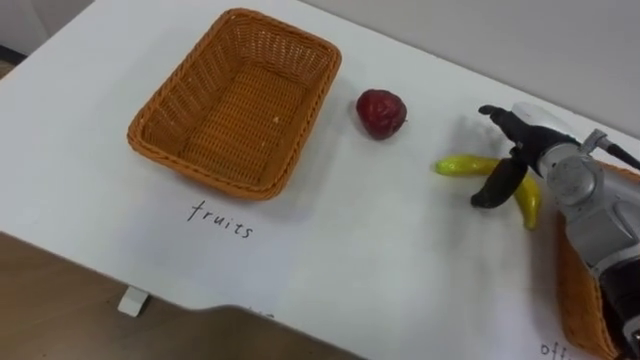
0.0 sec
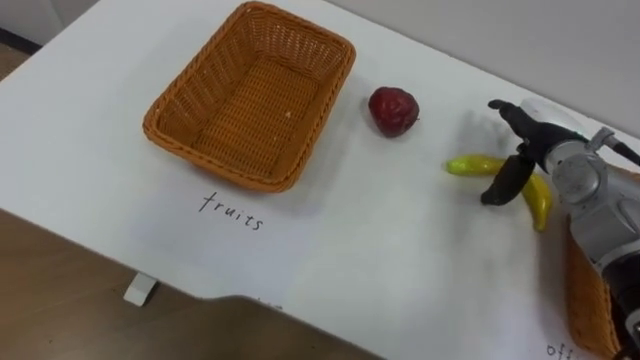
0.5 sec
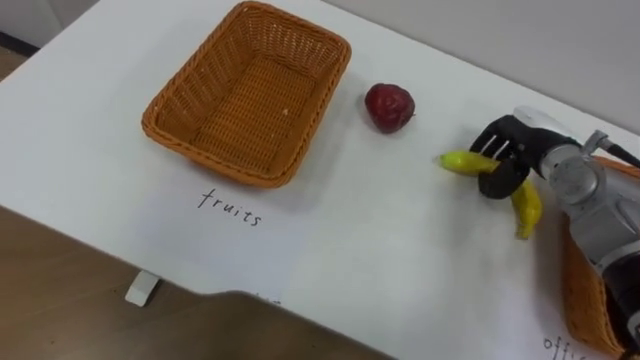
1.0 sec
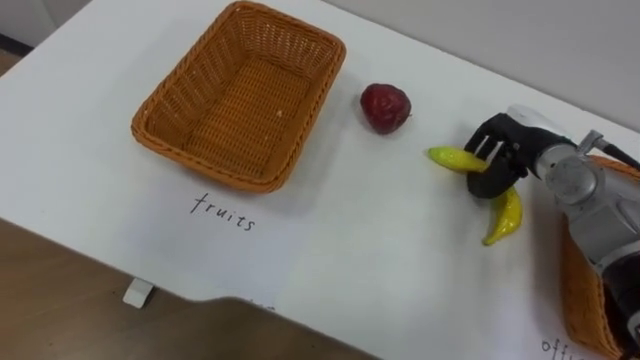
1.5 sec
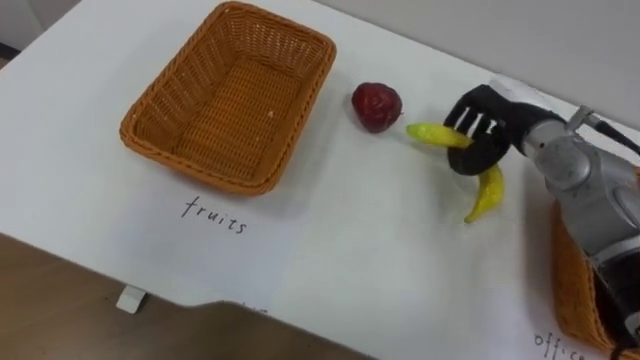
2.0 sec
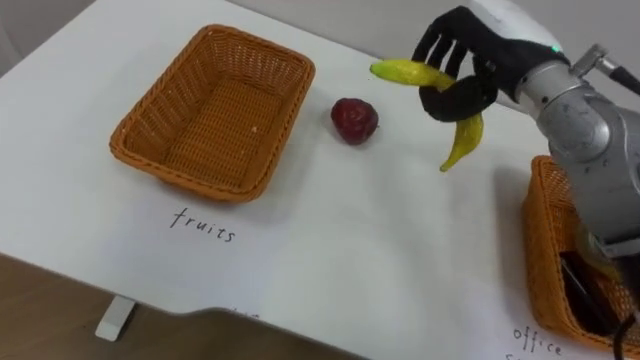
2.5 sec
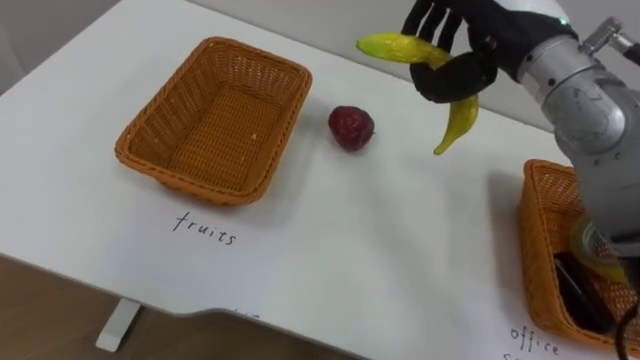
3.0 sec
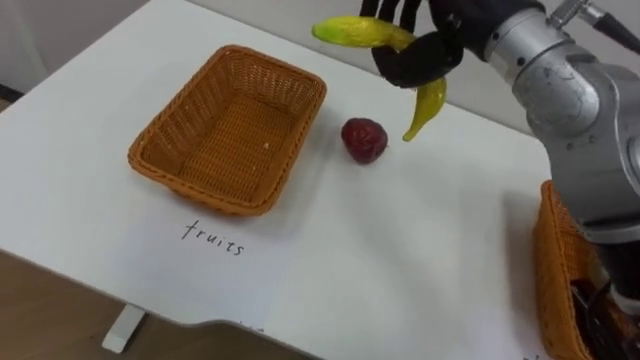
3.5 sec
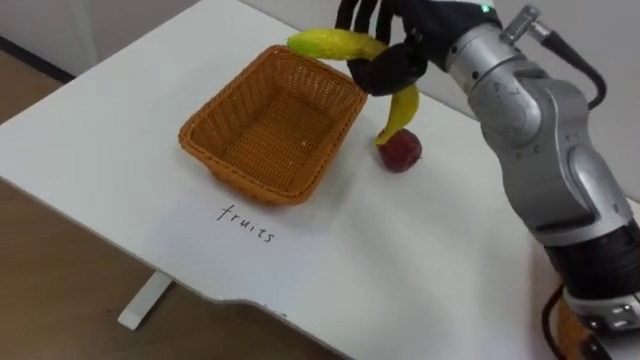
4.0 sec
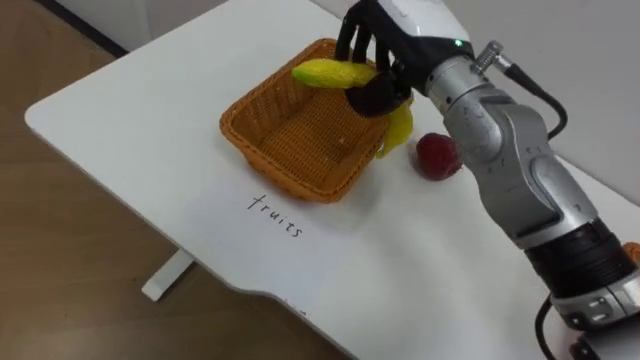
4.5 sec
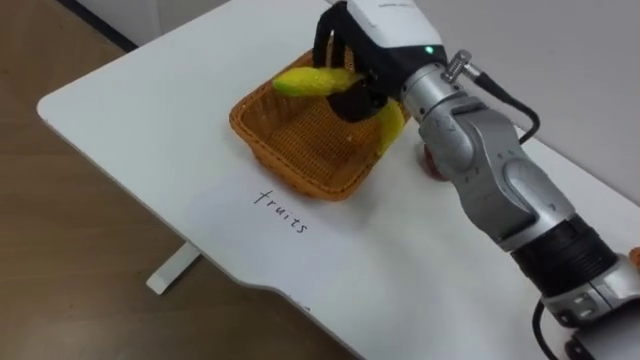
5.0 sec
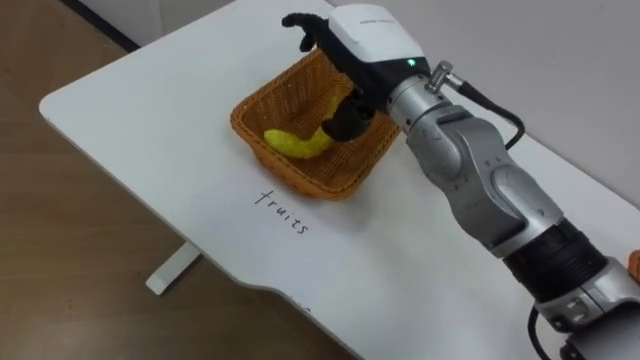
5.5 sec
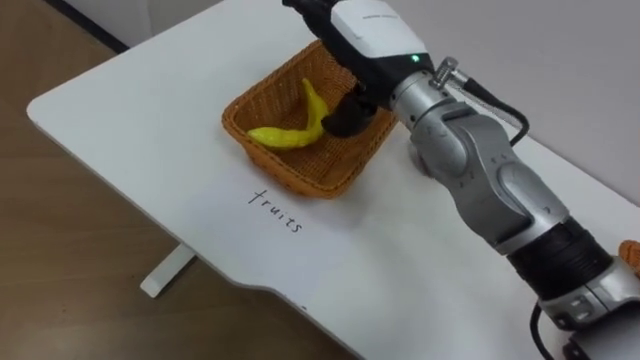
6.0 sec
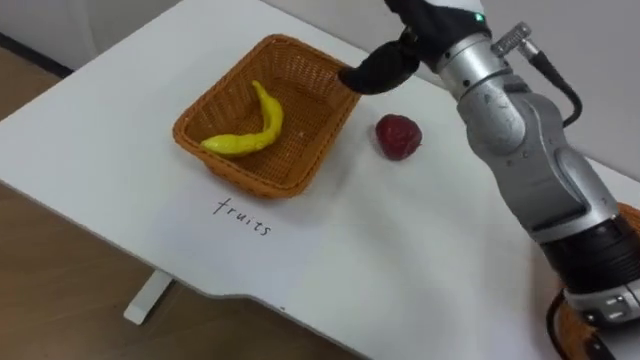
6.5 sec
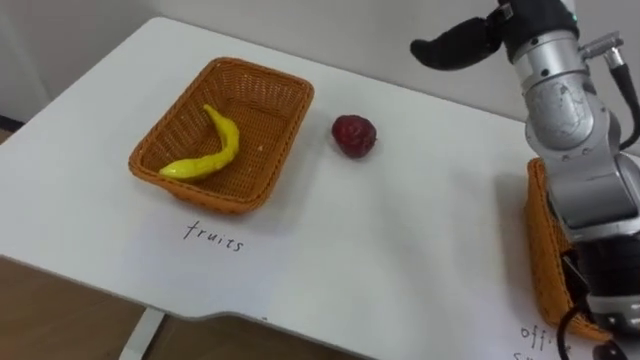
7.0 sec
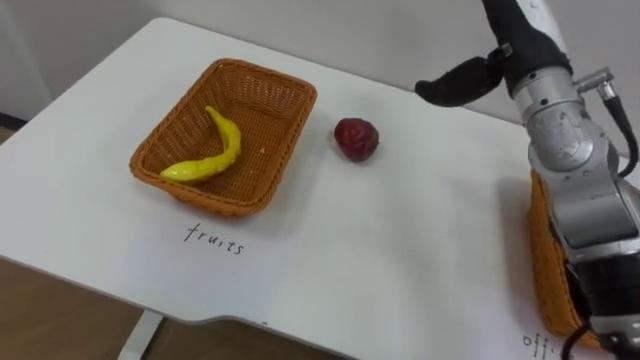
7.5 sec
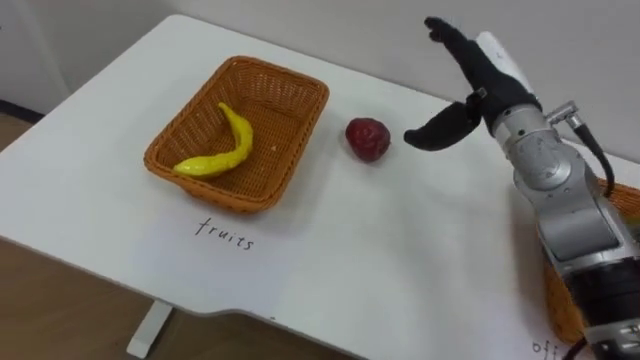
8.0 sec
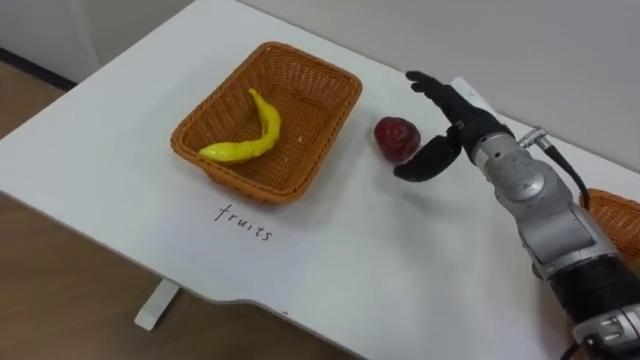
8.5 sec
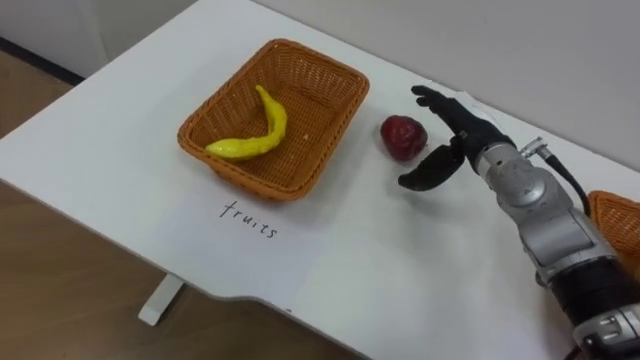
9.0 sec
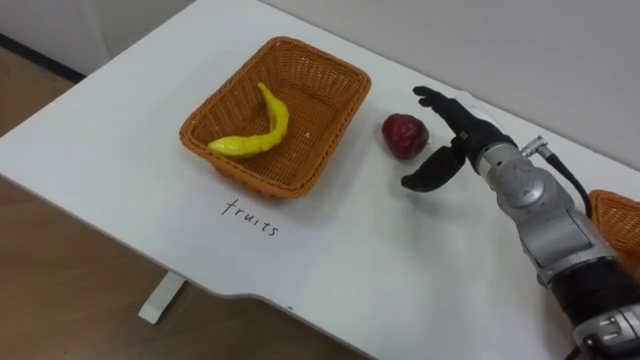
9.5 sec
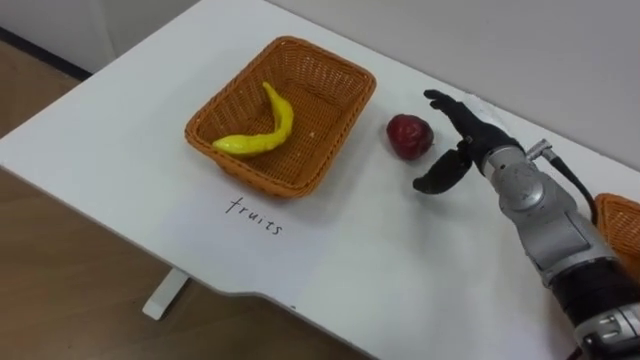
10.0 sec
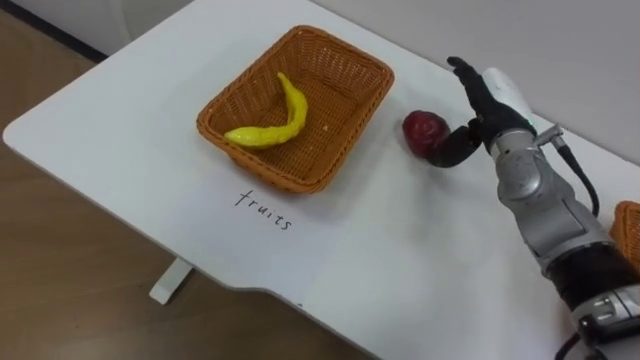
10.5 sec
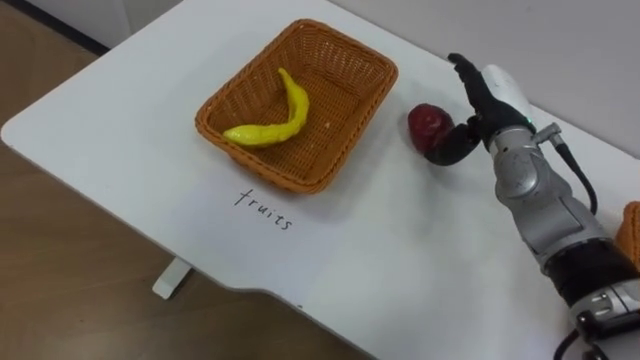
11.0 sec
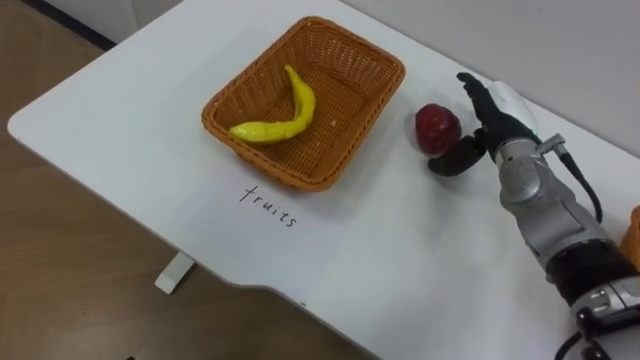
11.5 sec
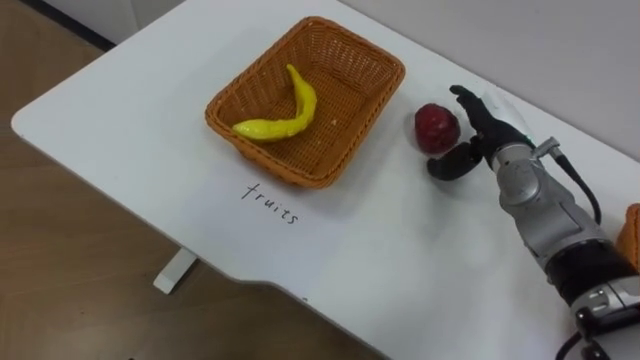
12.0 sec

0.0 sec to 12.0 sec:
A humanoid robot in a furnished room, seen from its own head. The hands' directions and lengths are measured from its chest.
Task of the whole recording: Separate the items on the table and place them into the two baskets.
0.0 sec to 2.0 sec: The right hand closes its fingers.
4.0 sec to 6.0 sec: The right hand shifts some 5 cm downward, and opens its fingers.
8.0 sec to 10.0 sec: The right hand moves downward, roughly 10 cm.

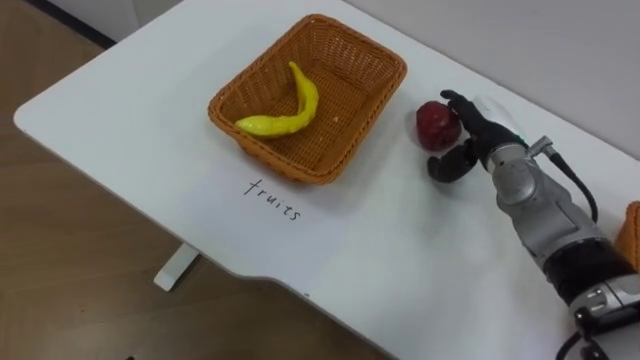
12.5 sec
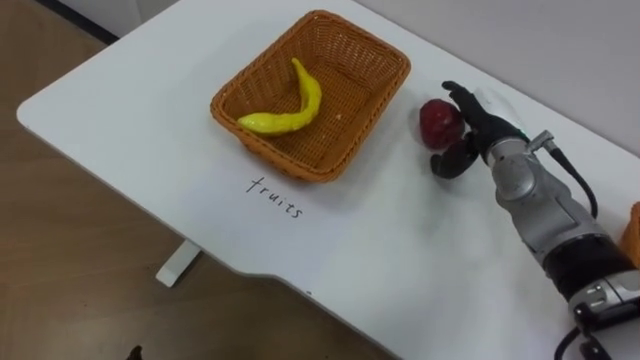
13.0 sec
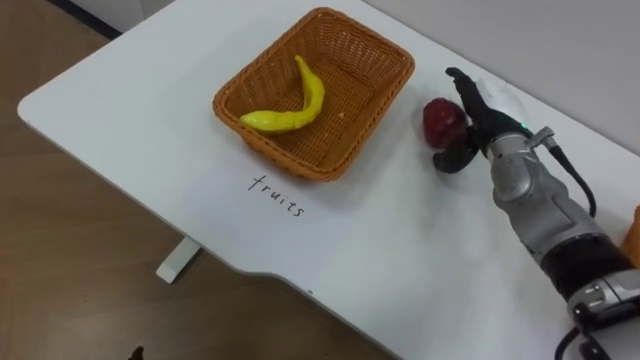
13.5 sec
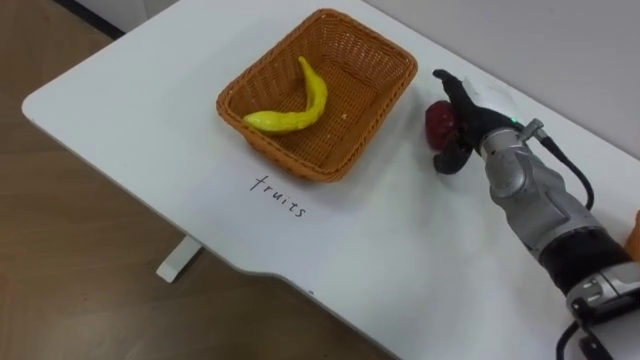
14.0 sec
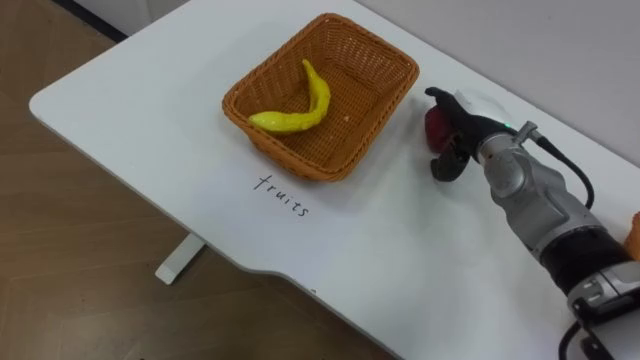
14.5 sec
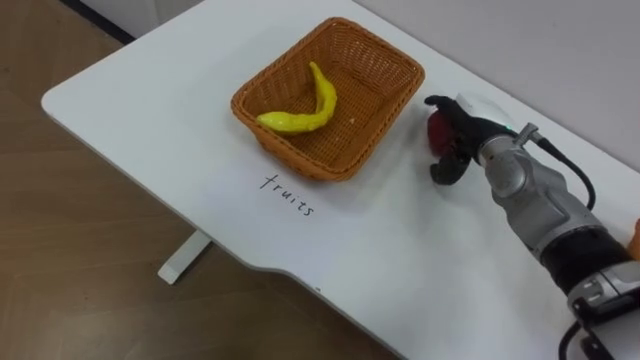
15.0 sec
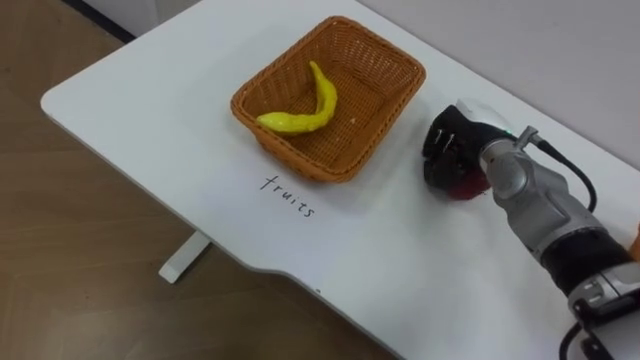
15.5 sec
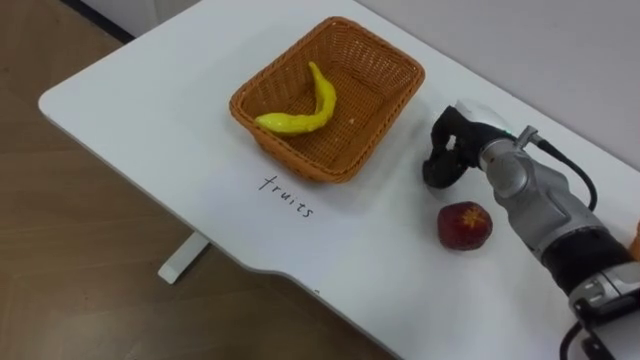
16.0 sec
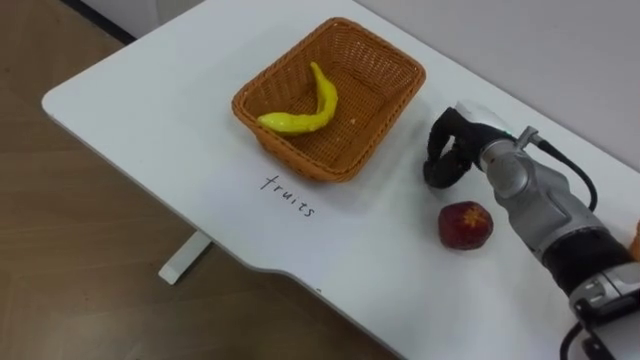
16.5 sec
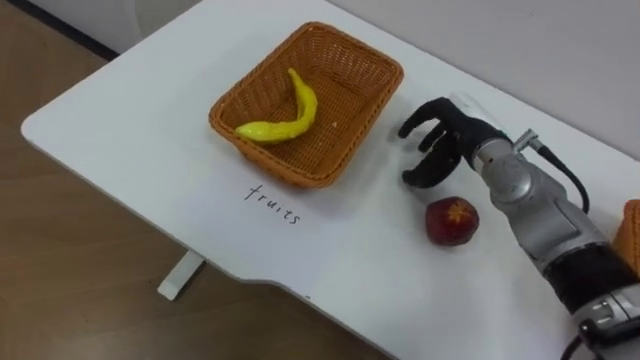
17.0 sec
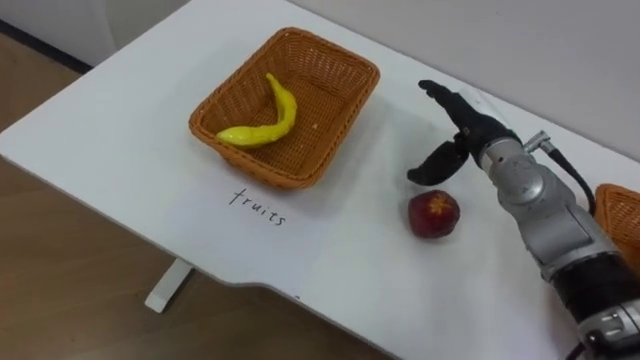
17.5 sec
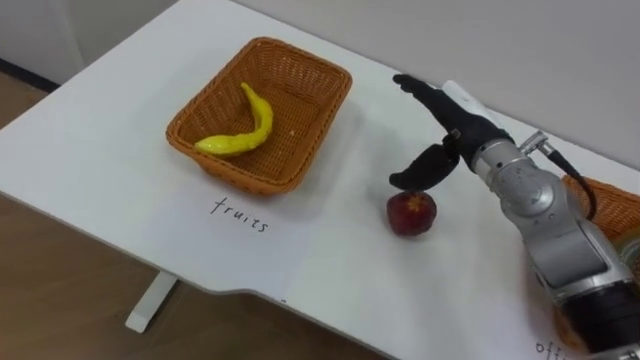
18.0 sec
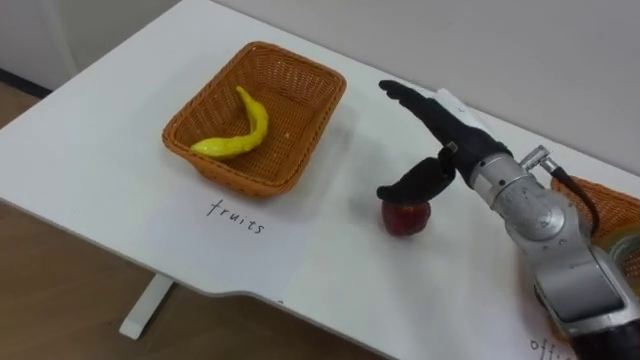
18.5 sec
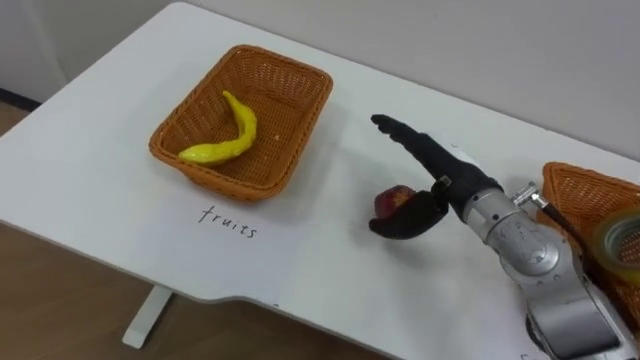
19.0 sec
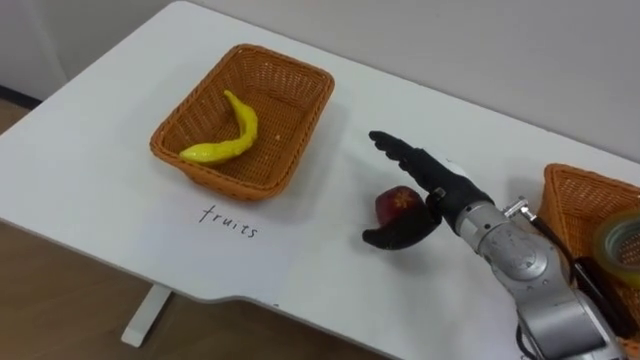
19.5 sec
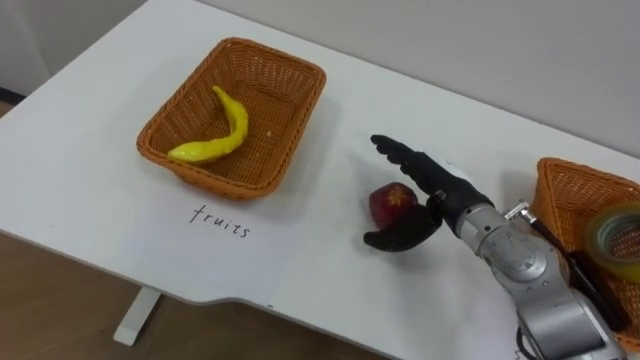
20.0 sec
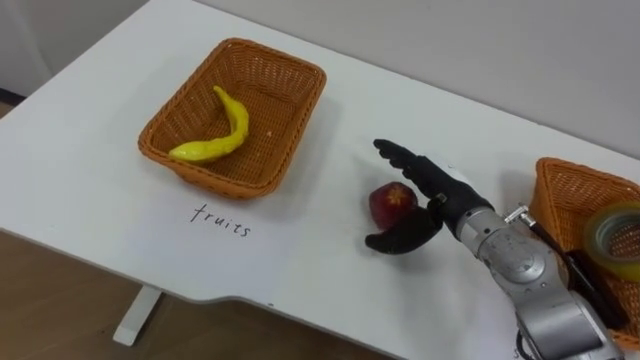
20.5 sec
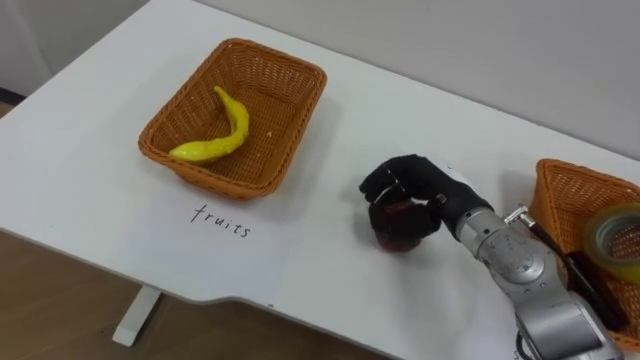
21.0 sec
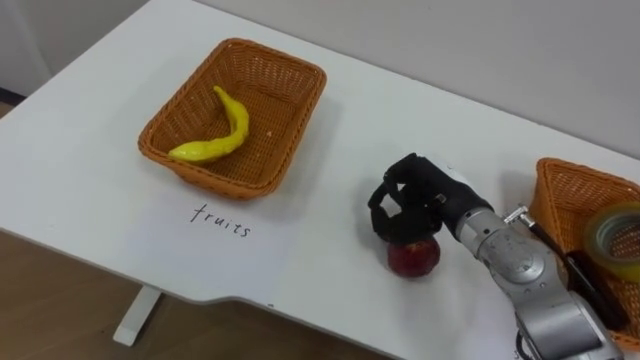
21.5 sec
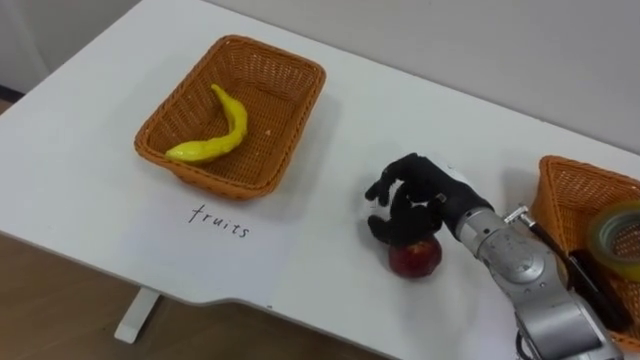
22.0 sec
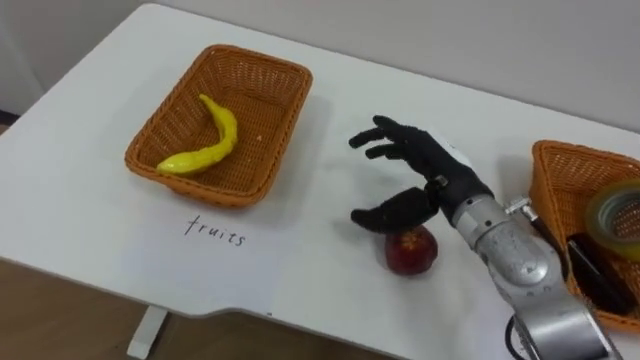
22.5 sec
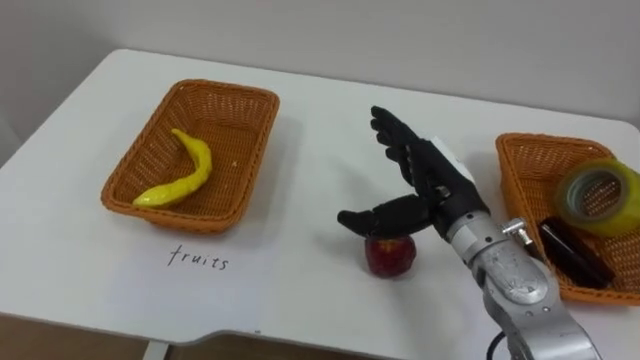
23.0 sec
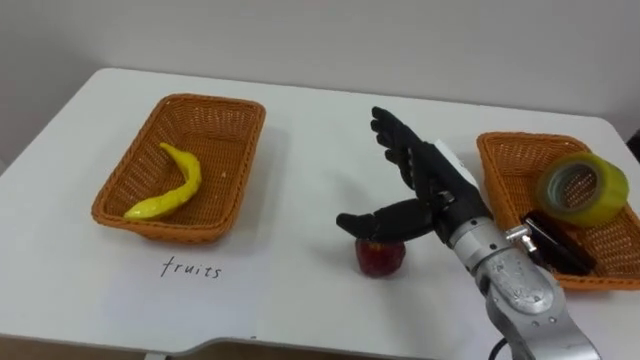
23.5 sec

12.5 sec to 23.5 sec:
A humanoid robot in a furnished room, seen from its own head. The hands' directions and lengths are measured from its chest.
Task of the whole recording: Separate the items on the table and place them into the two baskets.
14.5 sec to 16.0 sec: The right hand closes up.
16.0 sec to 18.0 sec: The right hand shifts some 5 cm upward, and opens its fingers.
18.0 sec to 20.0 sec: The right hand shifts some 5 cm backward.
20.0 sec to 21.5 sec: The right hand closes its fingers.
21.5 sec to 23.5 sec: The right hand opens up.
